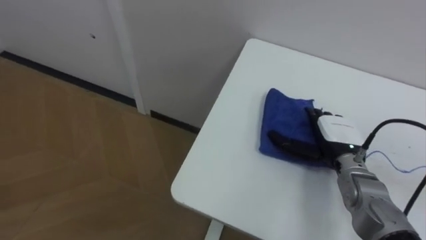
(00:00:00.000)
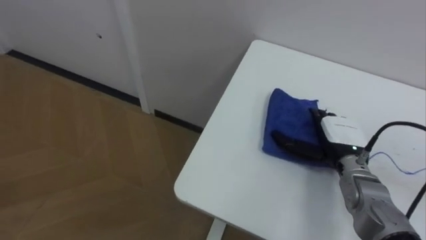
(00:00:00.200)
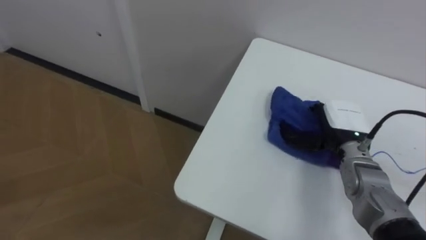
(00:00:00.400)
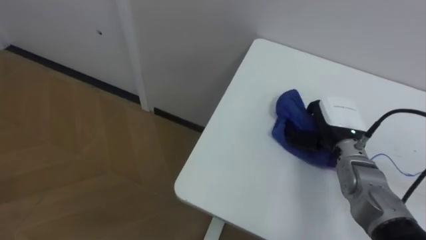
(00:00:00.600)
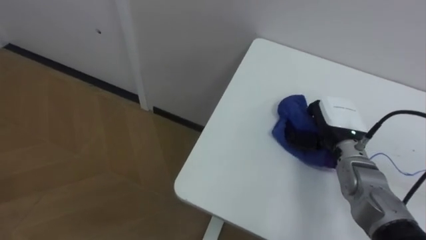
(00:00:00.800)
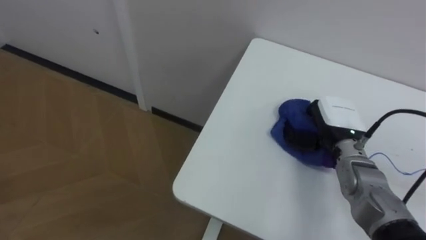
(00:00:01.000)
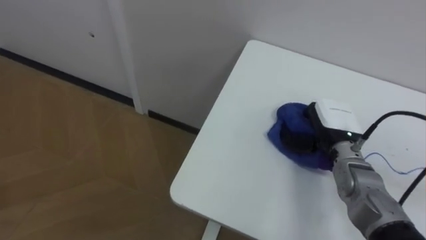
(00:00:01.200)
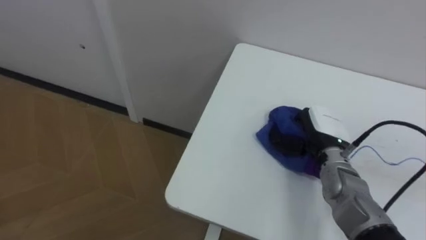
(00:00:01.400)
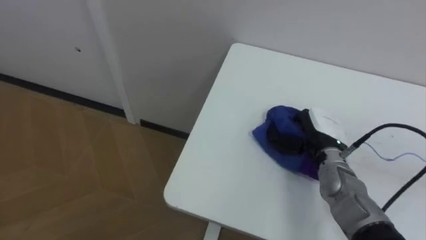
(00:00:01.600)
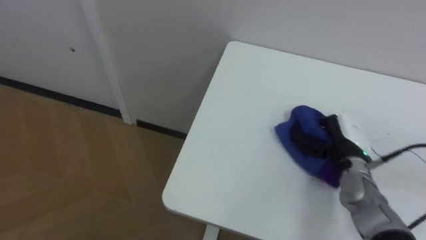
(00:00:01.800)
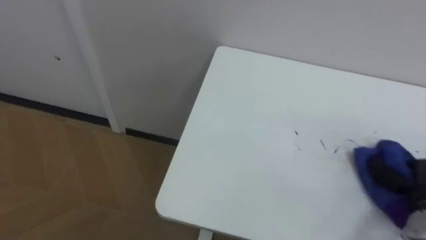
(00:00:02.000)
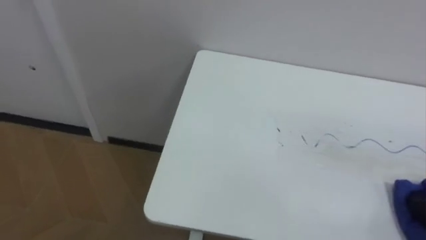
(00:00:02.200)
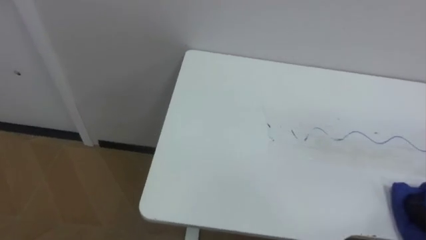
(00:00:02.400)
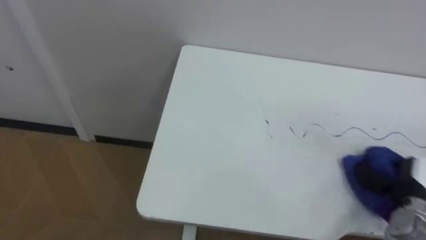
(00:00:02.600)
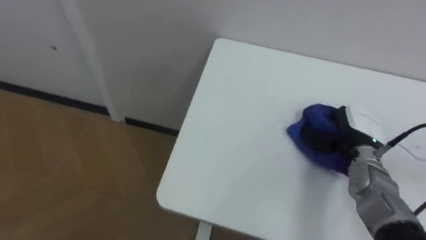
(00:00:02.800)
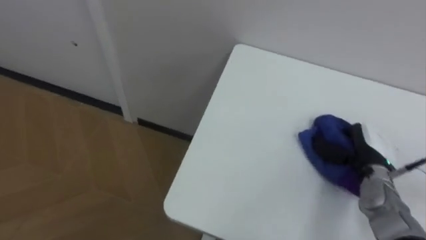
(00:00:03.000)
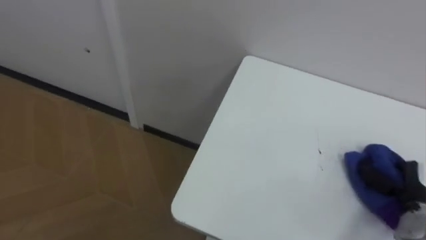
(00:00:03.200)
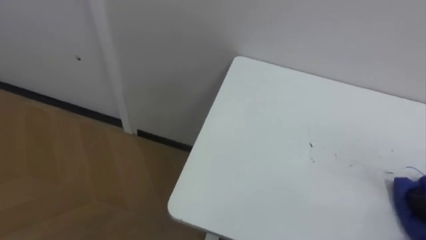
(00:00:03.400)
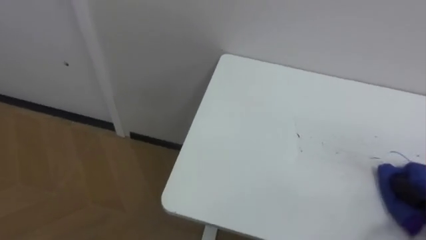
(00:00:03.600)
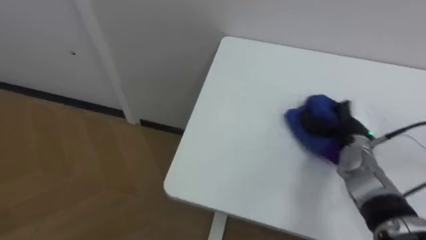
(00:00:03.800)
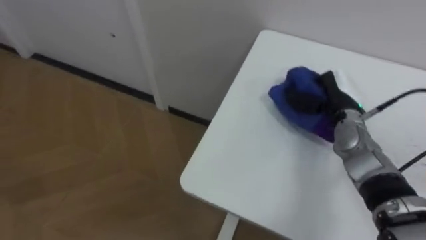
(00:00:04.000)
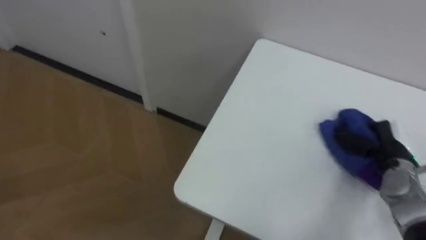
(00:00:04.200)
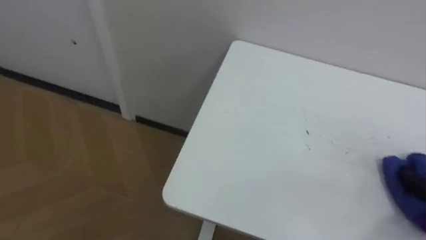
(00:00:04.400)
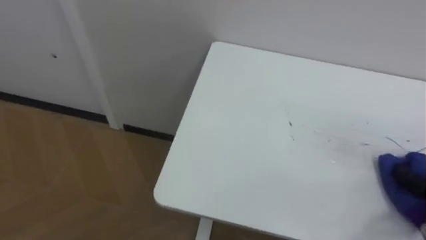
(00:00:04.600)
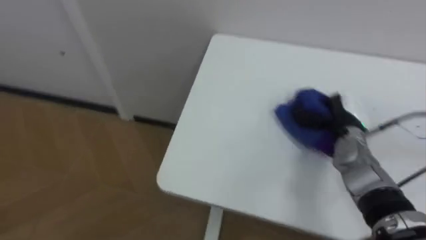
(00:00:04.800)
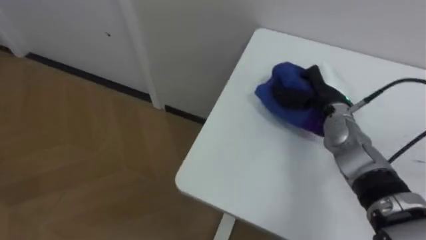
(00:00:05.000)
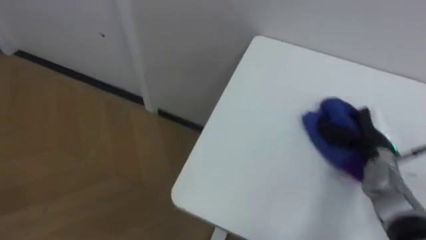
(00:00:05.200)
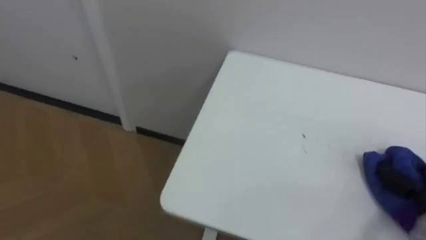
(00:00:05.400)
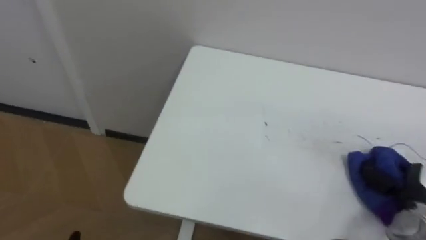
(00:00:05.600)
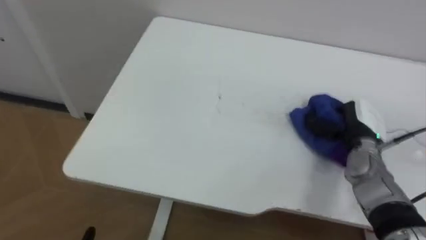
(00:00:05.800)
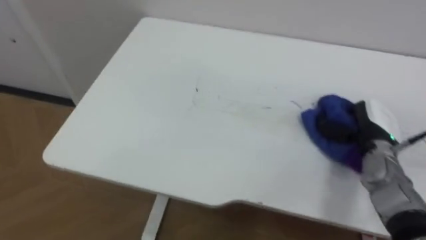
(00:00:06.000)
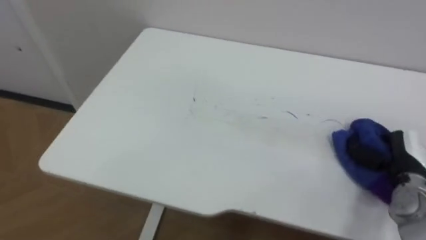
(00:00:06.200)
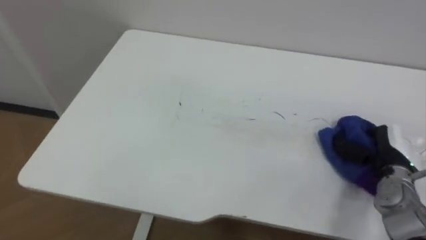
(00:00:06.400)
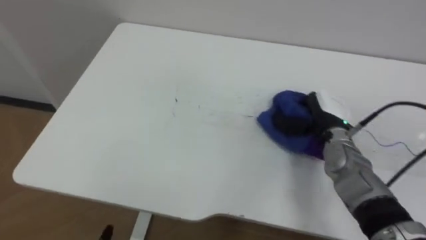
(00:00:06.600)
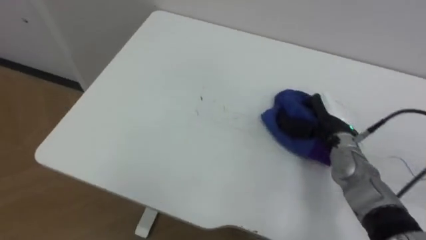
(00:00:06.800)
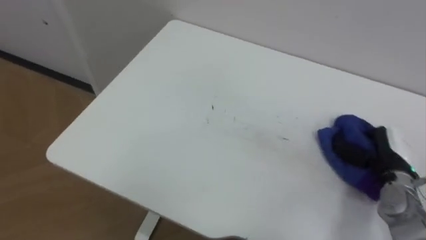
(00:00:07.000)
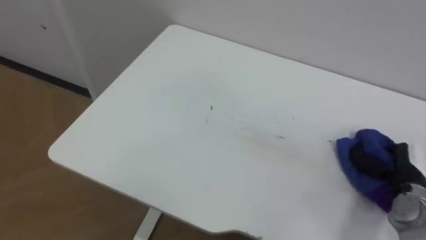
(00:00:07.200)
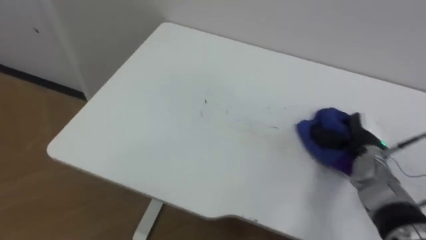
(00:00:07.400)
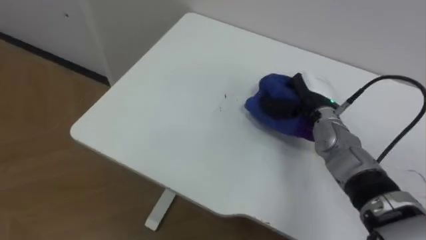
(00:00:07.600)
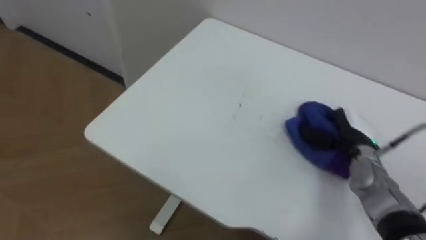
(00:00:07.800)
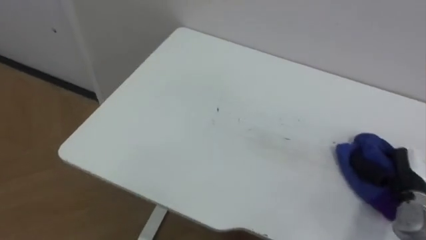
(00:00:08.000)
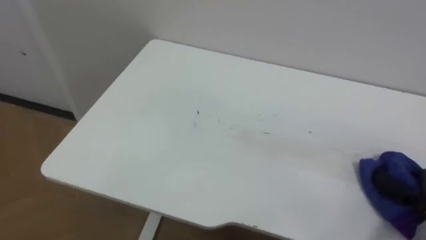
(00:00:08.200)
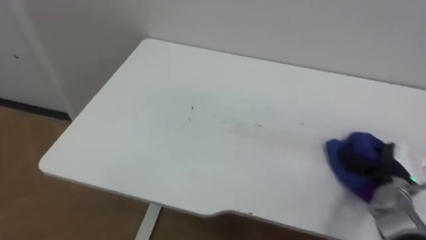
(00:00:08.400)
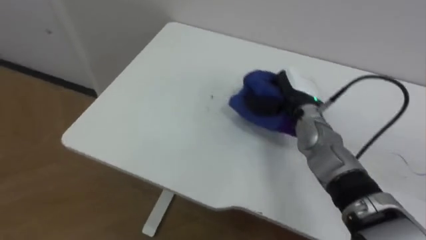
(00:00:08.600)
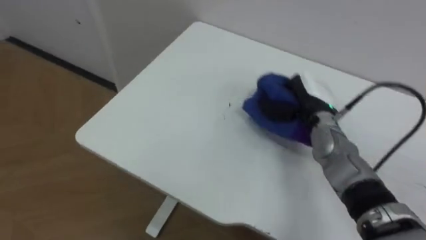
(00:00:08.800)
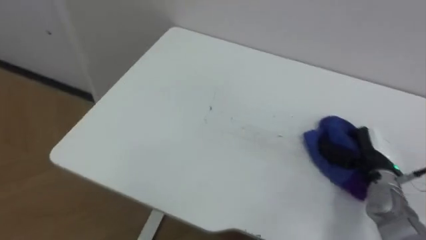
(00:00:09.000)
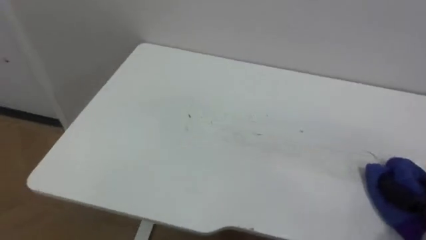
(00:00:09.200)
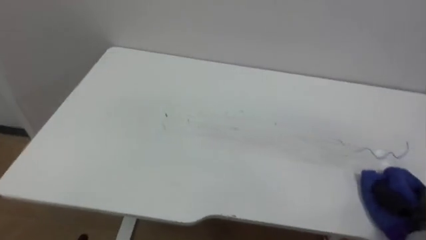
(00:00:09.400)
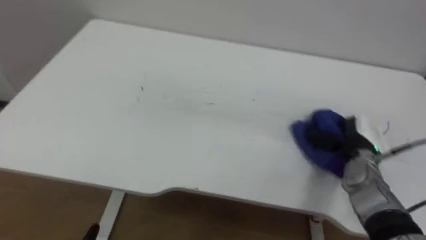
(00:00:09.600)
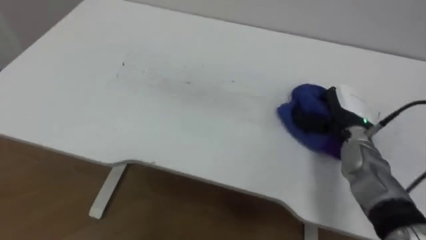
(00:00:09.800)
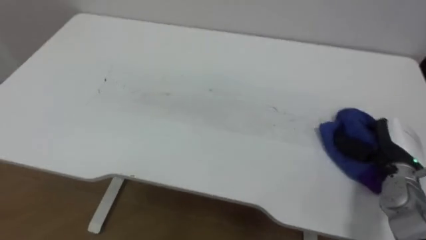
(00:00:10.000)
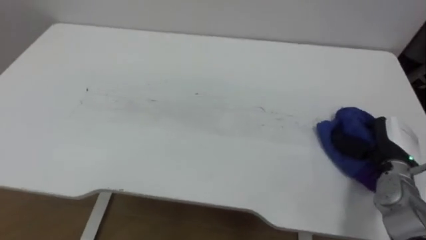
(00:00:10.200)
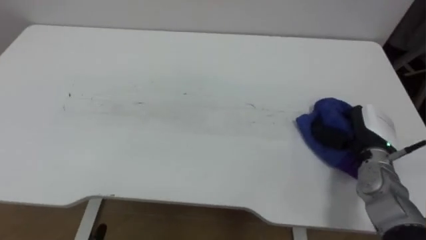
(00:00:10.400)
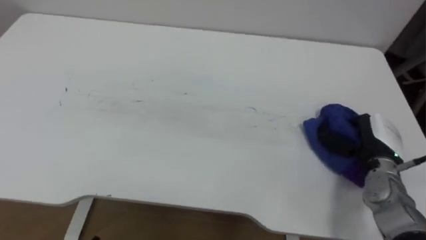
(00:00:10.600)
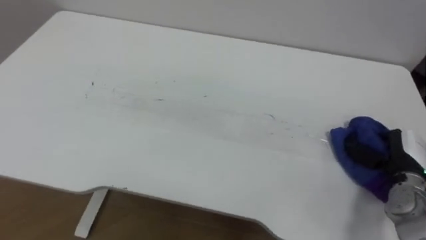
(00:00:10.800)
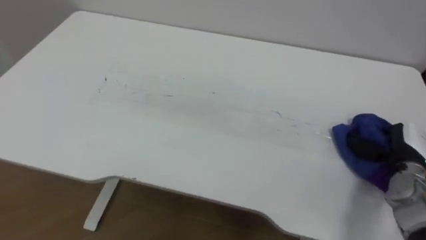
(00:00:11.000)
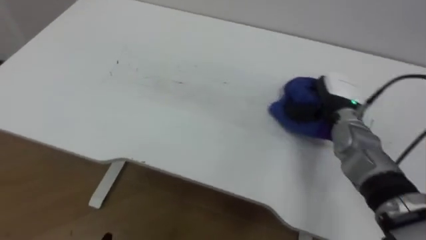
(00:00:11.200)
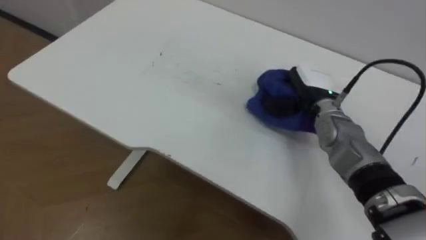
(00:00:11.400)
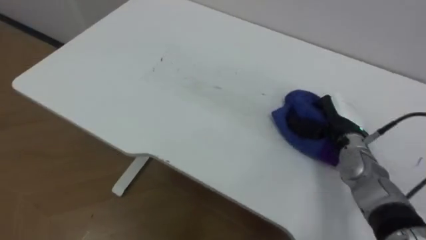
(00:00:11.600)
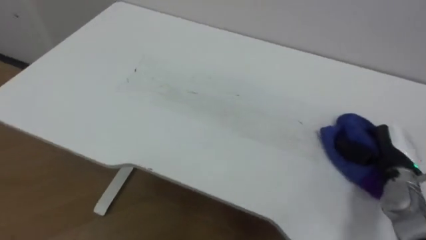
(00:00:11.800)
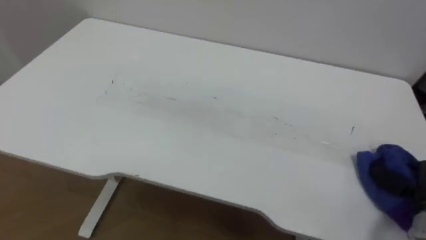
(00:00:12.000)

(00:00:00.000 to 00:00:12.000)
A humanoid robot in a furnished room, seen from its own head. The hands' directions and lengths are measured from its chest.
Task of the whole recording: Wipe the blue pen marks off the table with the rag.
00:00:00.000 - 00:00:01.600: The right hand closes up.
00:00:06.000 - 00:00:07.600: The right hand moves left and right over roughly 20 cm, changing direction 3 times.
00:00:07.600 - 00:00:09.000: The right hand goes left and right, about 25 cm each way, reversing 2 times.
00:00:09.000 - 00:00:10.400: The robot's body swings about 15 degrees to its right.
00:00:10.400 - 00:00:12.000: The right hand goes left and right, approximately 20 cm each way, reversing 2 times.

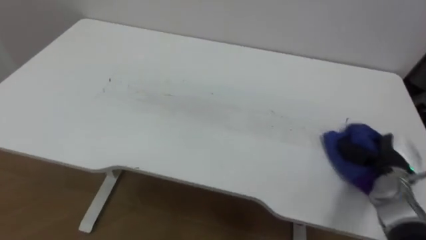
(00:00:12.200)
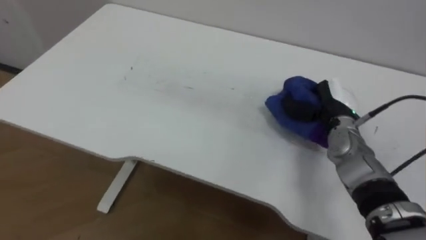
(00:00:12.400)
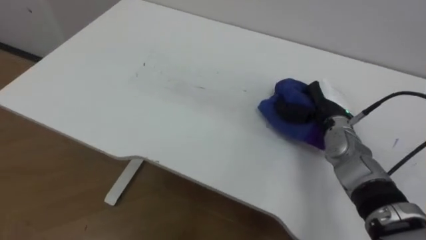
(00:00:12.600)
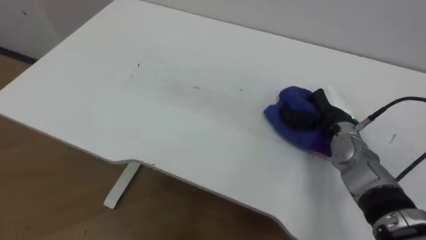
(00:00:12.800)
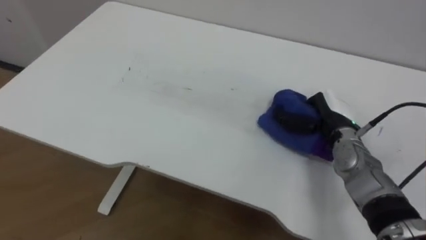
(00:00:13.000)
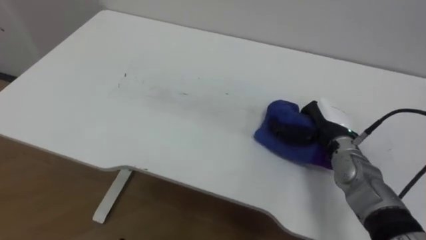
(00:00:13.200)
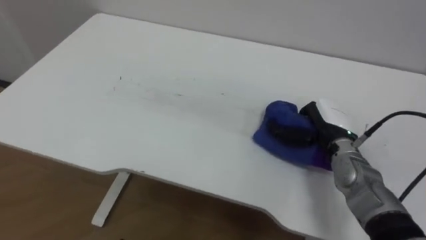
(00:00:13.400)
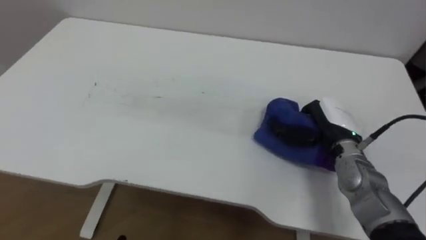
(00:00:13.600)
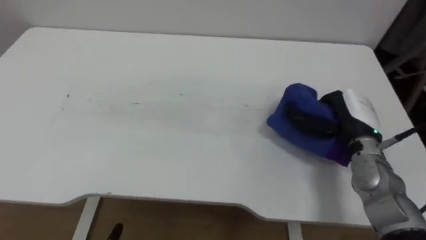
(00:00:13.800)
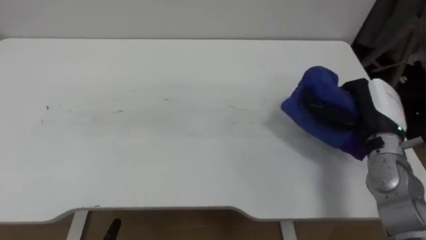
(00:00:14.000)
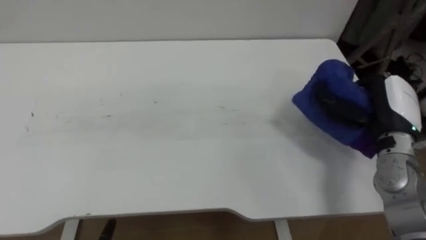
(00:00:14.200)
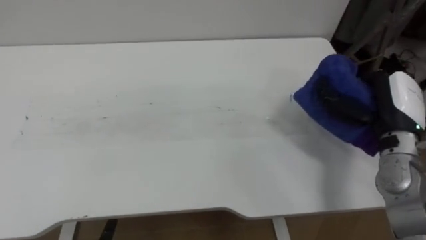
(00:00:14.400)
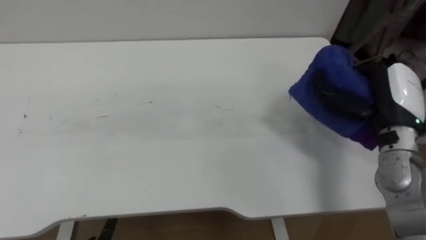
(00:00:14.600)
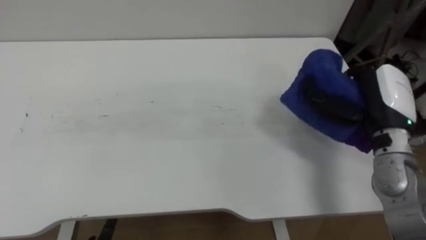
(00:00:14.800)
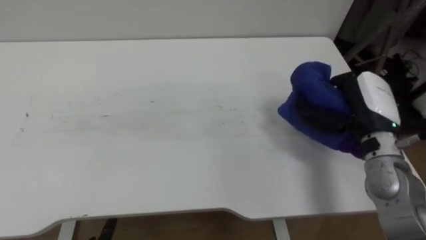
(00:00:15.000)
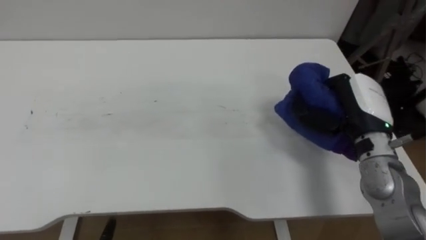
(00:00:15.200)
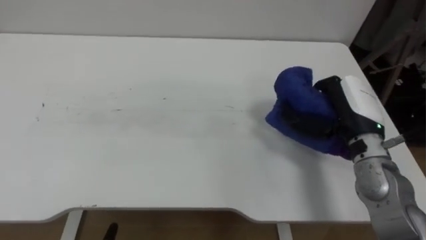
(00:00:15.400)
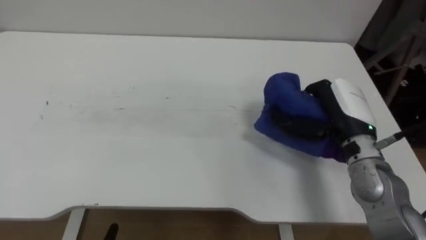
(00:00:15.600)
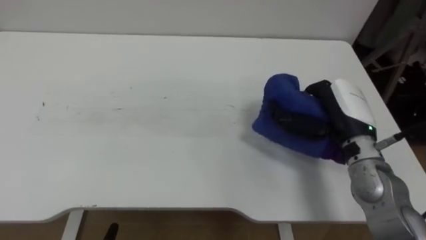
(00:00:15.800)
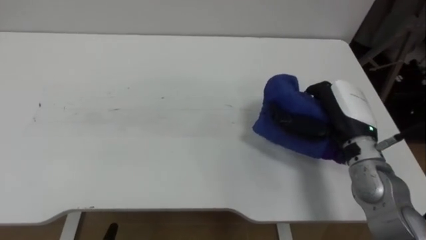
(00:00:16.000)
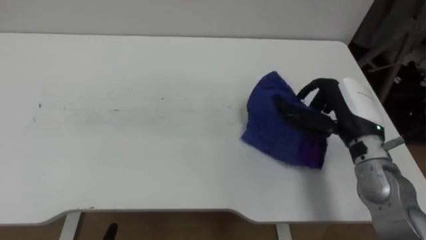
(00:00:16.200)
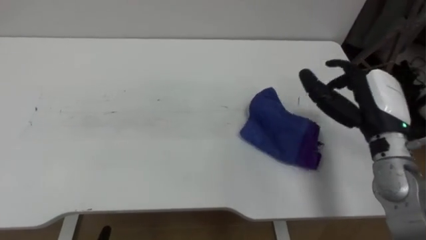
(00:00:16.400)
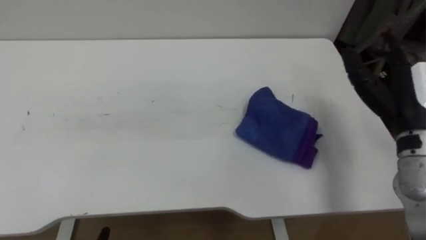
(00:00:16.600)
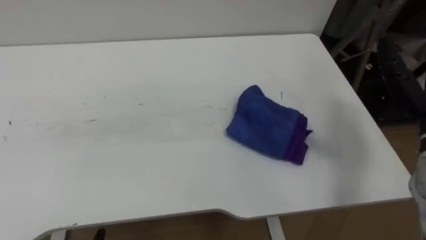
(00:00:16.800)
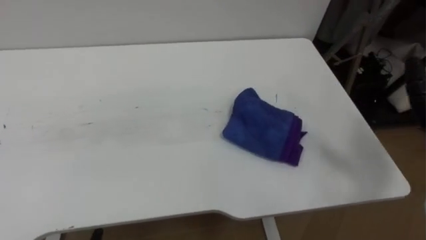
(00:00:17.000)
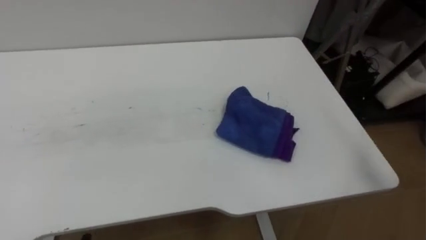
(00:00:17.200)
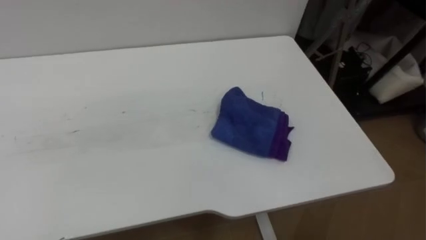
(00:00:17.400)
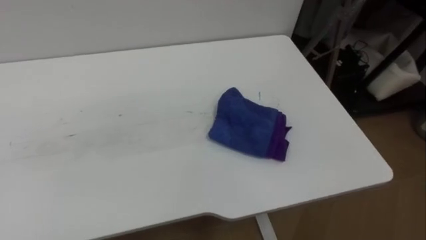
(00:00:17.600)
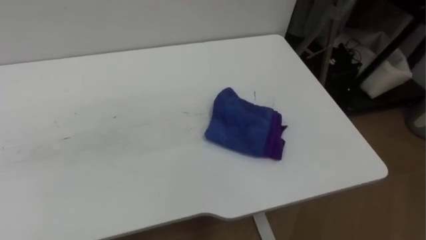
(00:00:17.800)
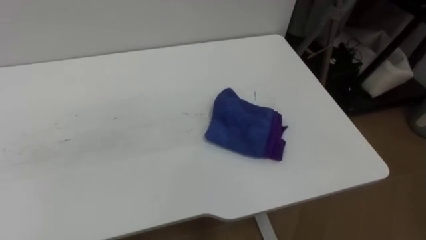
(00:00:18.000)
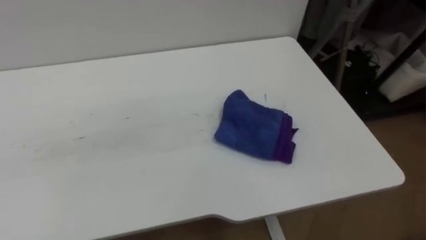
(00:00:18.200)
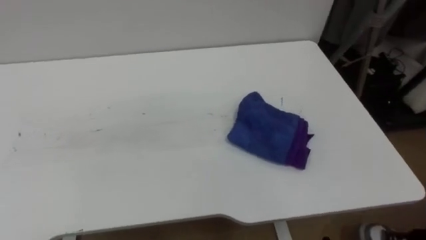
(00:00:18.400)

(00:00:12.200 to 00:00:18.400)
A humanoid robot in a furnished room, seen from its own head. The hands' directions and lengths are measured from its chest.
Task of the whole recording: Wipe the blue pen marks off the table with the rag.
00:00:12.200 - 00:00:13.800: The right hand moves to the left, upward and forward, some 15 cm.
00:00:13.800 - 00:00:15.400: The right hand is displaced upward by some 5 cm.
